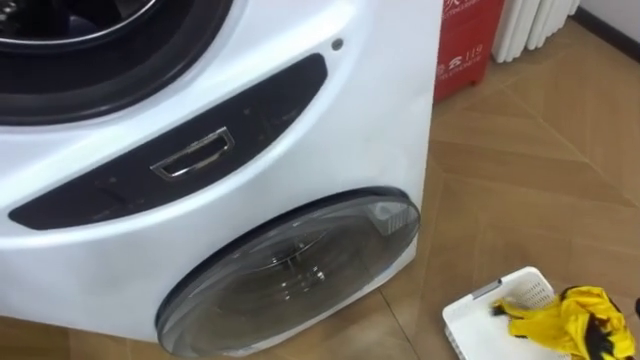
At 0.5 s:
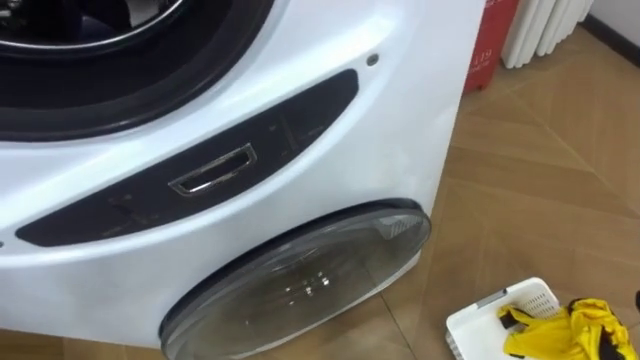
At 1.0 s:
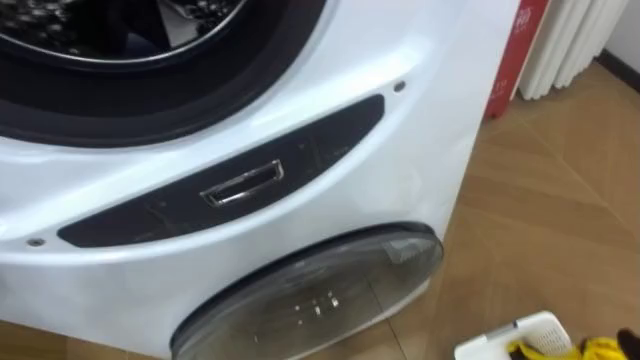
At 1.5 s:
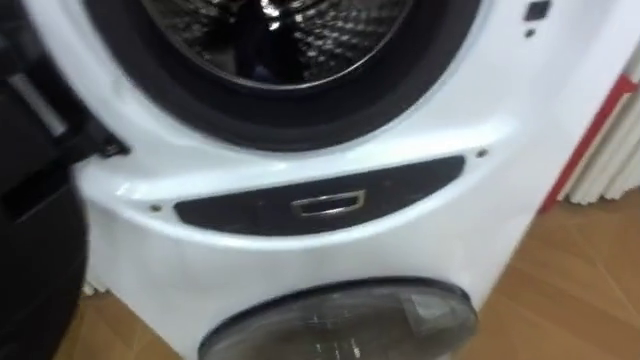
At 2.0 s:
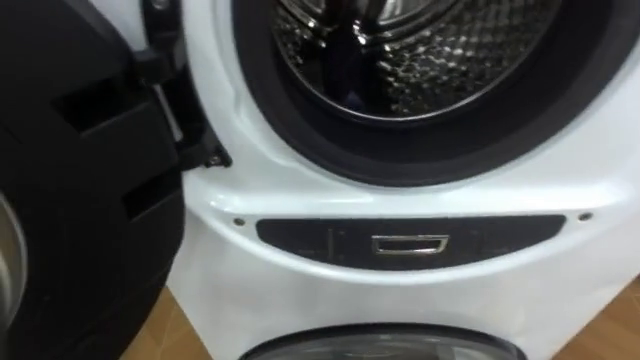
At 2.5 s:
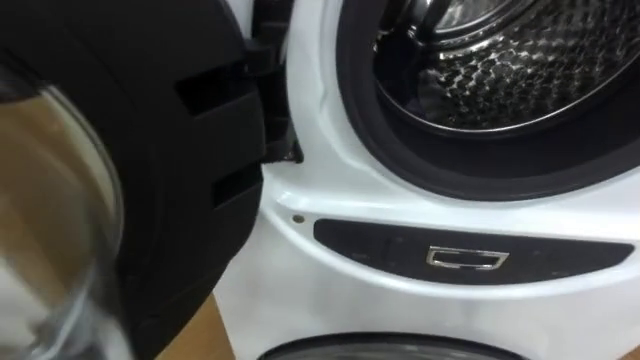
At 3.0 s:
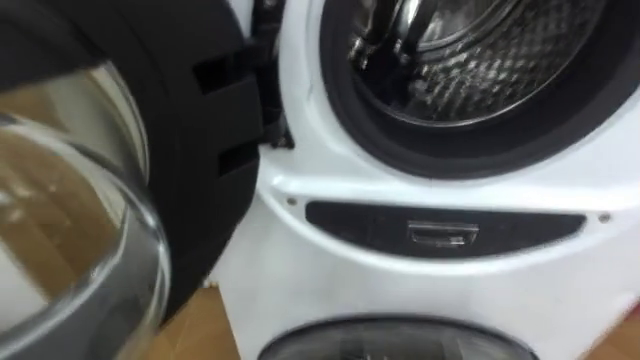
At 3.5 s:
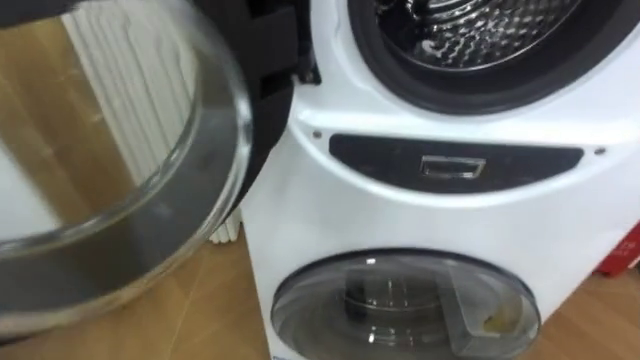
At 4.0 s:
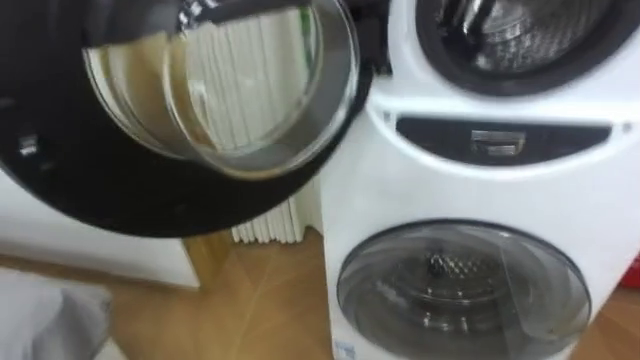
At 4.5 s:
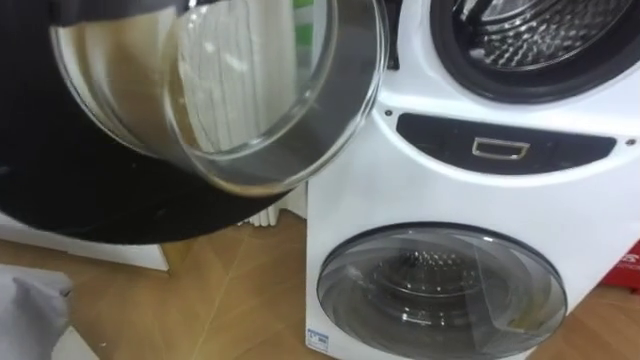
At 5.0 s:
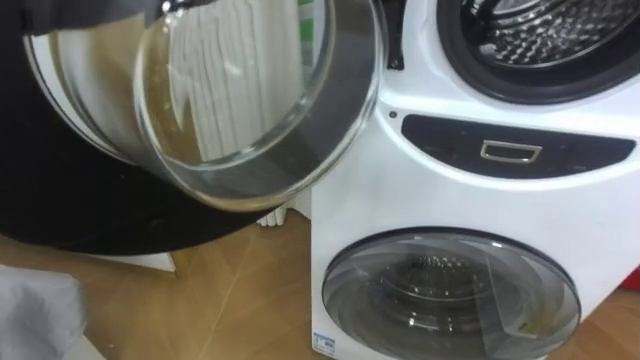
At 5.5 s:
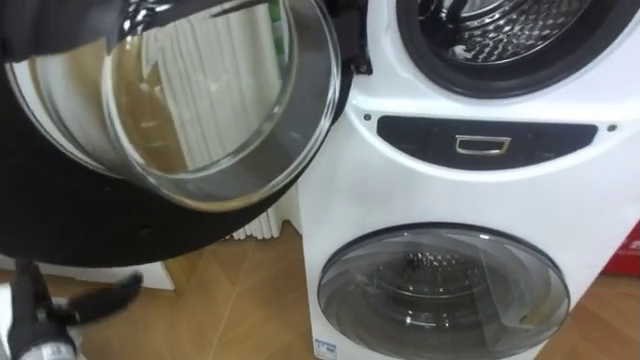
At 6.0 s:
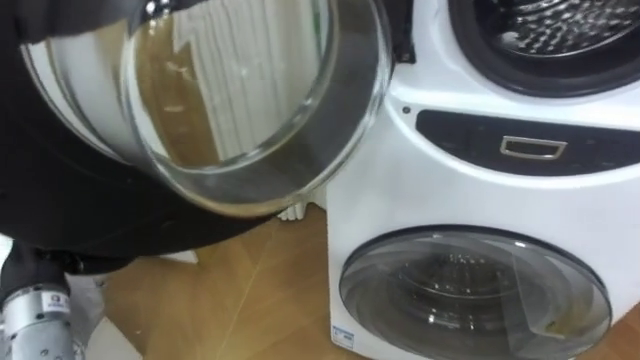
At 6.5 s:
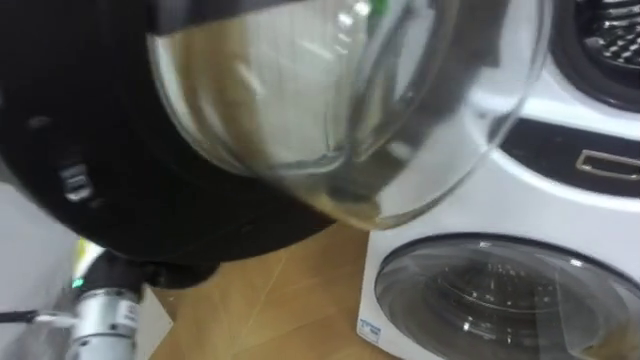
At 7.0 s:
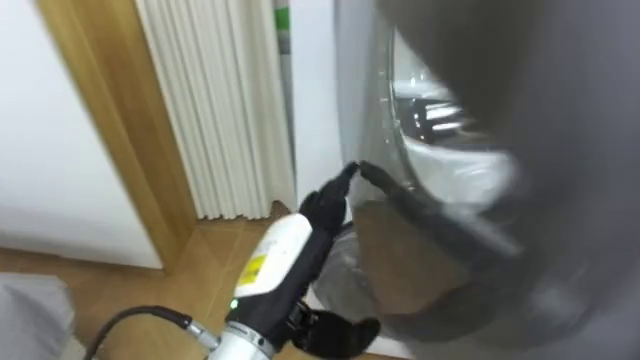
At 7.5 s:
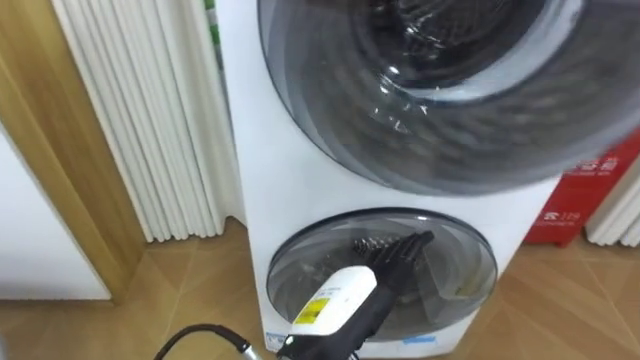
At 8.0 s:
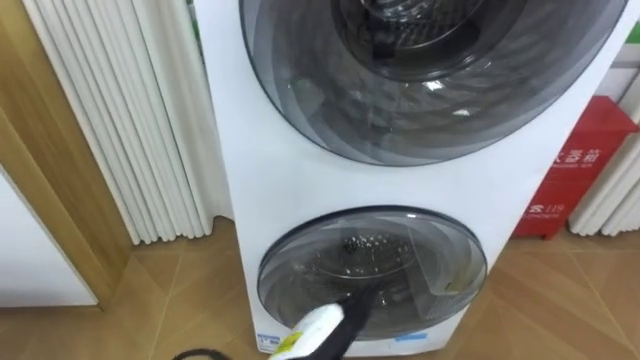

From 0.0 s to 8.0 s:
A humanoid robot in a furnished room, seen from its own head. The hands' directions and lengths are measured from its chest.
Task of the whole recording: Open the washing machine door, take out the yellow clothes, place them in the box on the right, and close the washing machine door.
From 6.0 s to 8.0 s: The left hand heads to the right, covering roughly 30 cm.

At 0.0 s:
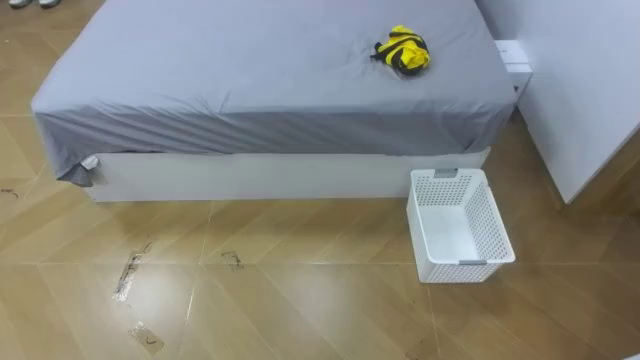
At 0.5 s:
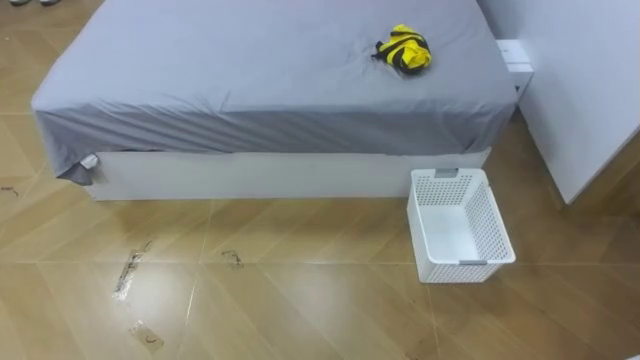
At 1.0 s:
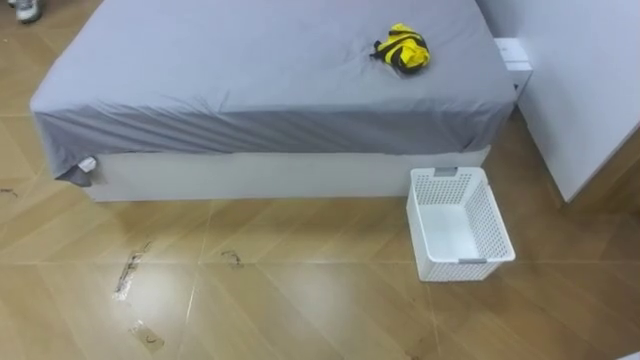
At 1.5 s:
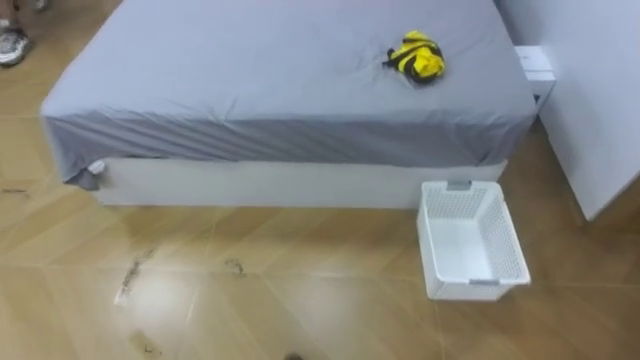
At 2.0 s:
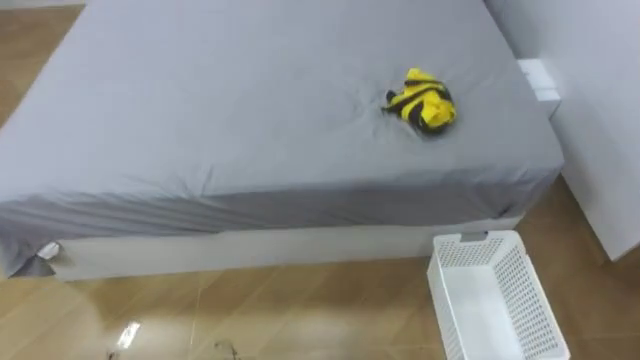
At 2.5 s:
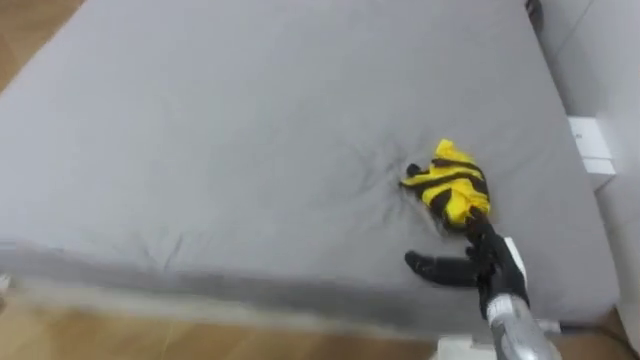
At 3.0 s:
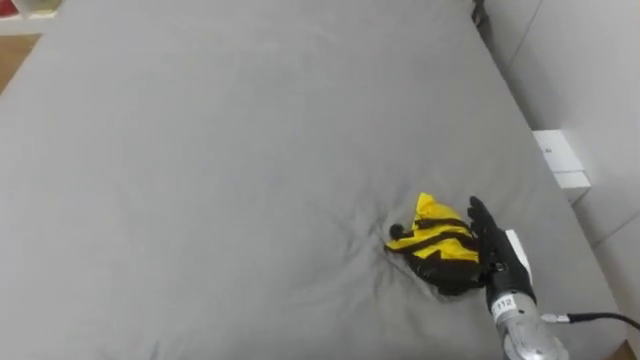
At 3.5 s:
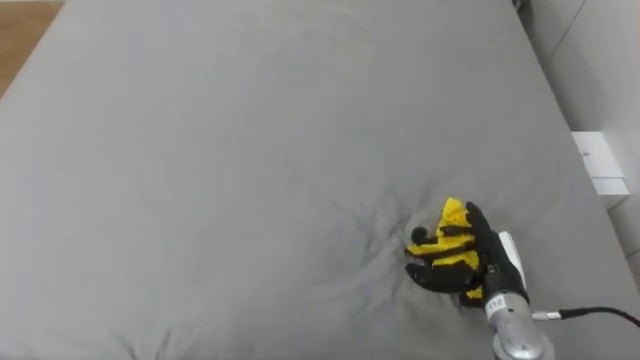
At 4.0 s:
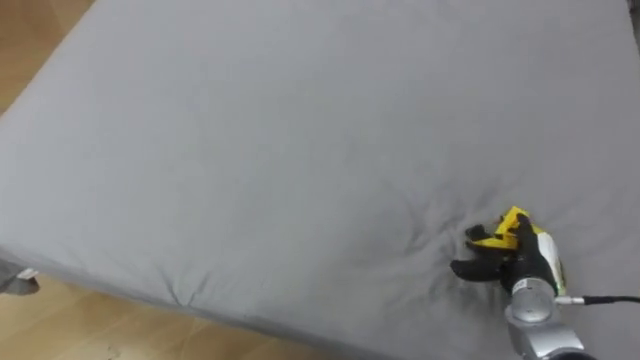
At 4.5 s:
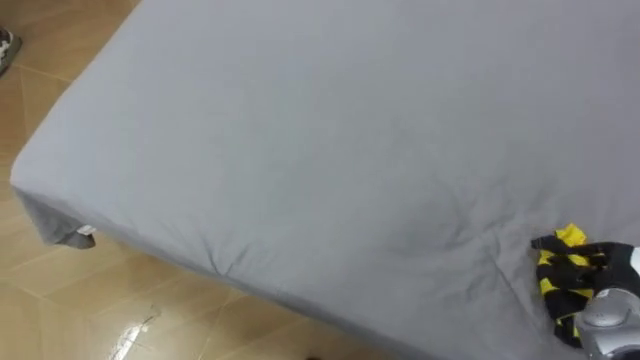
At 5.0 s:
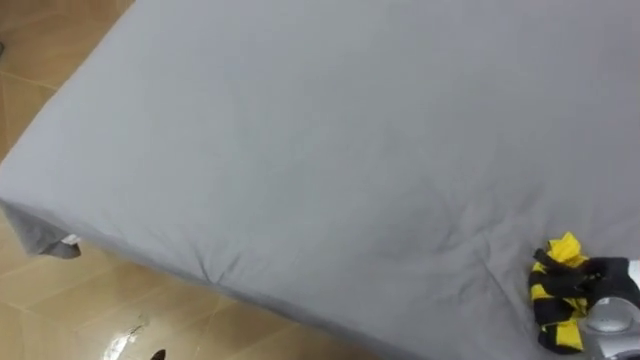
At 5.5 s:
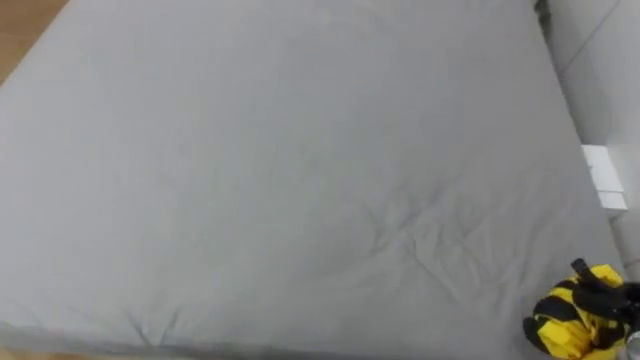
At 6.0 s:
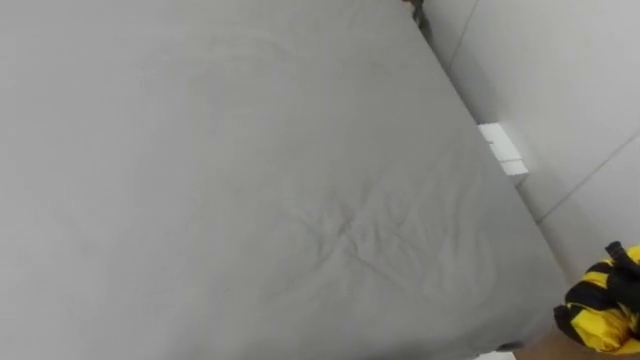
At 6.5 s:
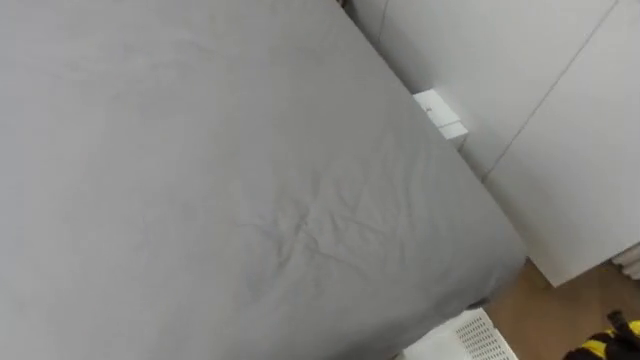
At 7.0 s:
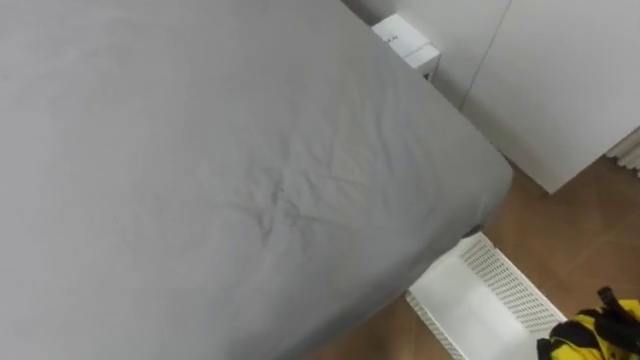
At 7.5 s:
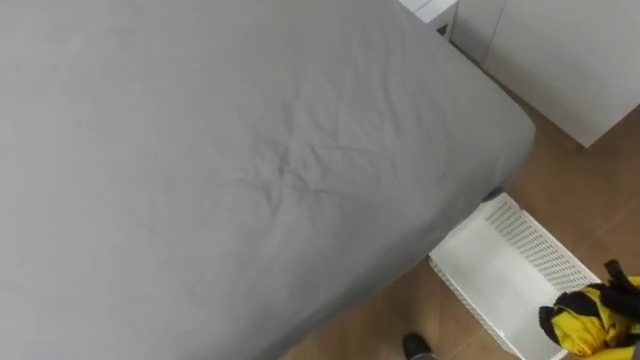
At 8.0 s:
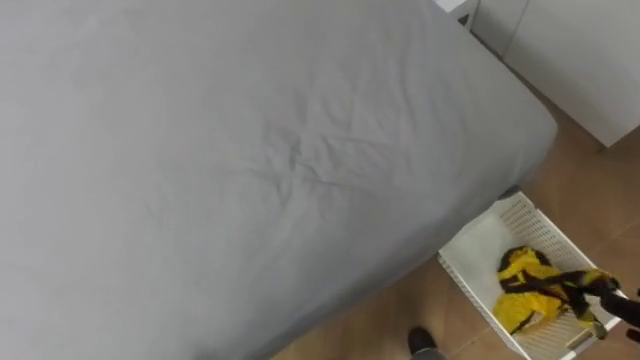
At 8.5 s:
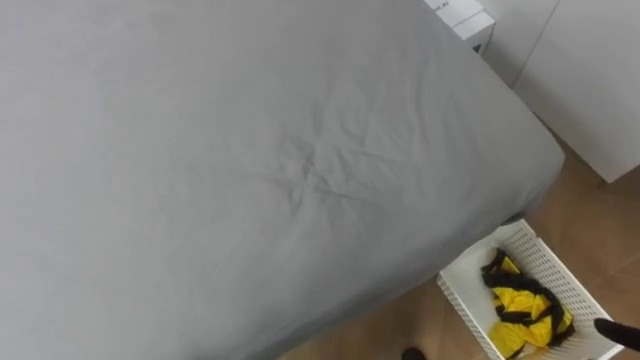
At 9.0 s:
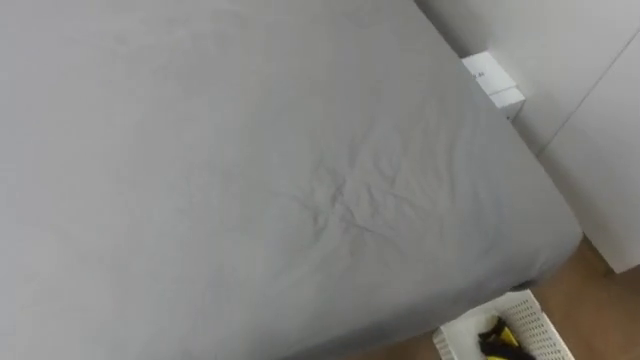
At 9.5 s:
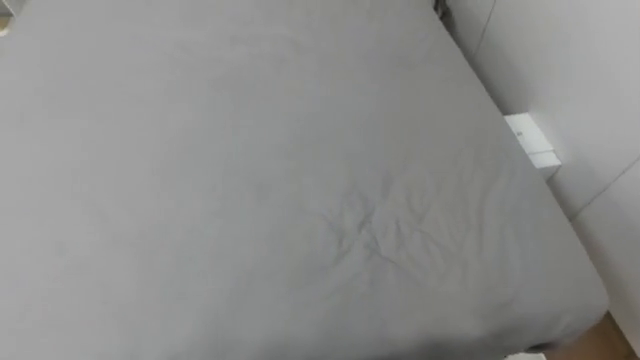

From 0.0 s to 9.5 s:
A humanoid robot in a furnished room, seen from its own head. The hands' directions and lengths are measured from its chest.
Task of the whole recording: Pick up the yellow clothes on the bed and place them into the white basket on the right.
From 4.0 s to 5.5 s: The right hand heads to the right and backward, covering roughly 15 cm, and closes its fingers.
From 7.5 s to 9.5 s: The robot turns to its left by approximately 15 degrees.
